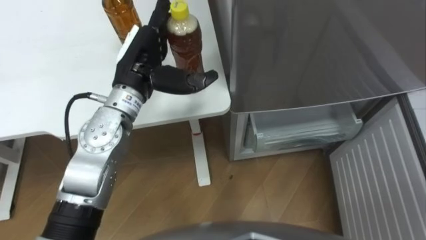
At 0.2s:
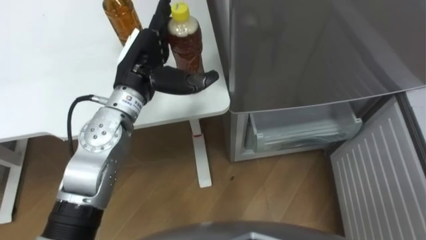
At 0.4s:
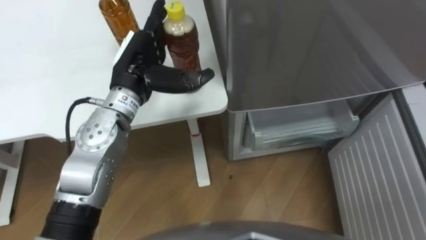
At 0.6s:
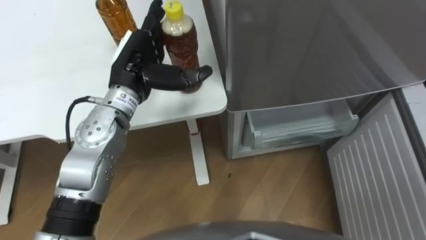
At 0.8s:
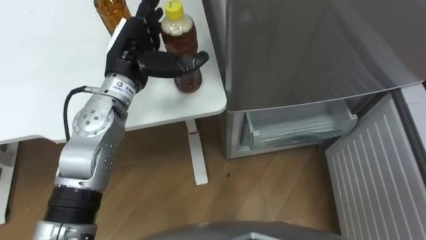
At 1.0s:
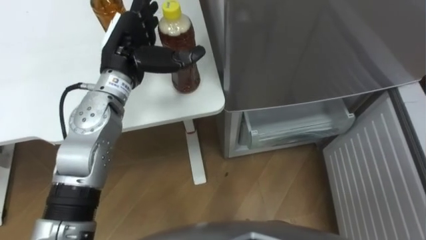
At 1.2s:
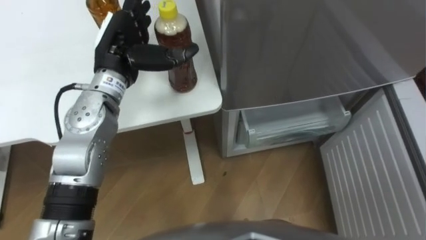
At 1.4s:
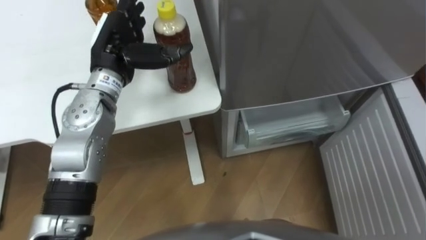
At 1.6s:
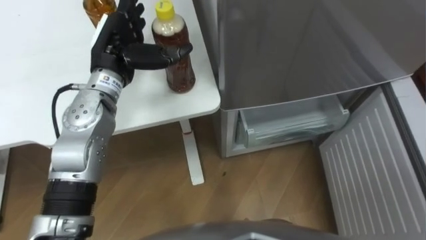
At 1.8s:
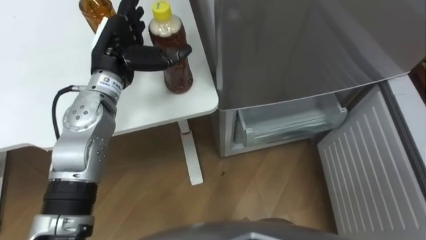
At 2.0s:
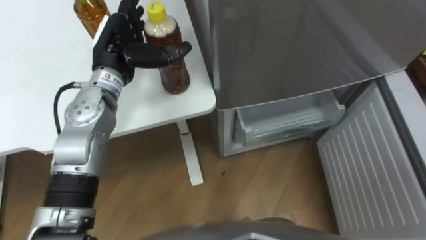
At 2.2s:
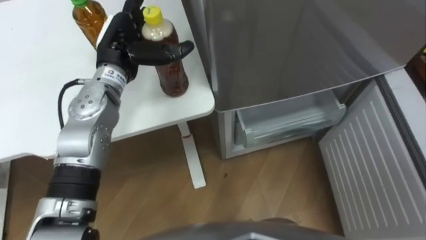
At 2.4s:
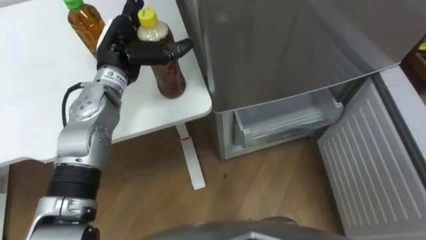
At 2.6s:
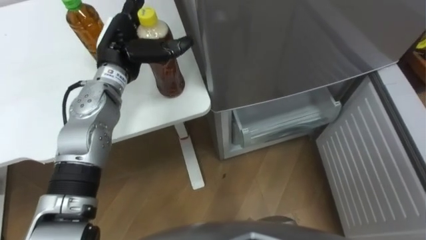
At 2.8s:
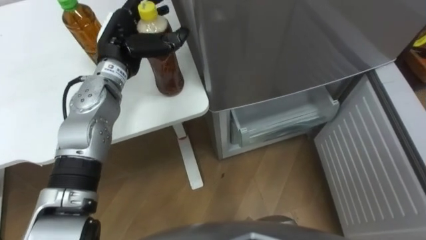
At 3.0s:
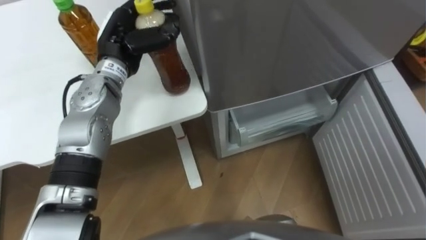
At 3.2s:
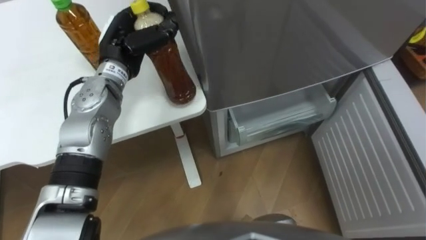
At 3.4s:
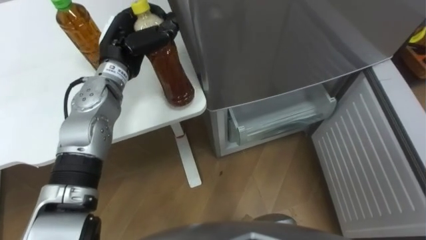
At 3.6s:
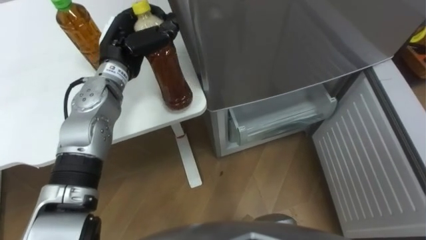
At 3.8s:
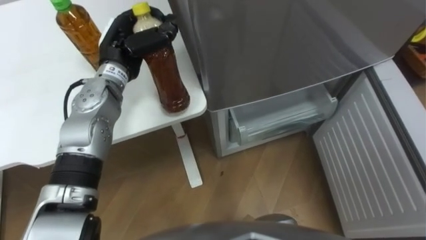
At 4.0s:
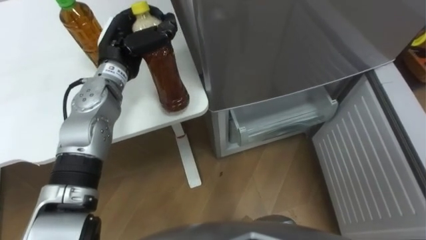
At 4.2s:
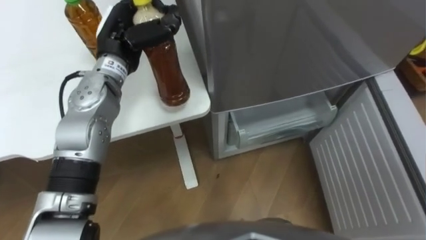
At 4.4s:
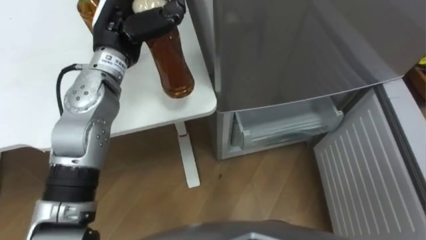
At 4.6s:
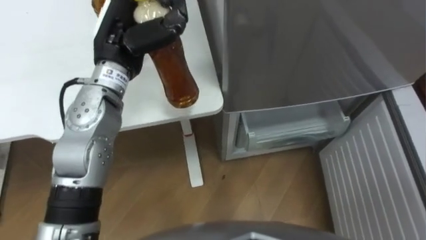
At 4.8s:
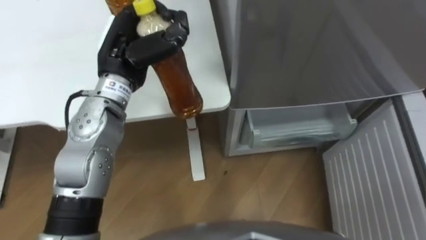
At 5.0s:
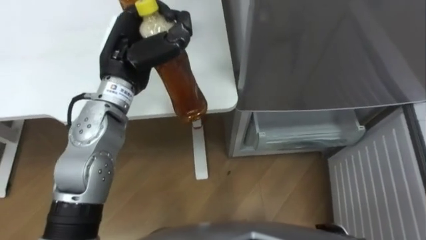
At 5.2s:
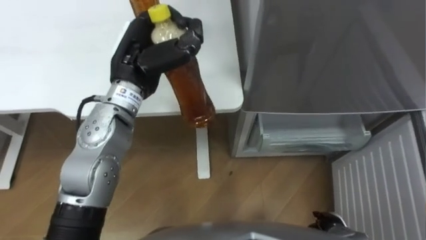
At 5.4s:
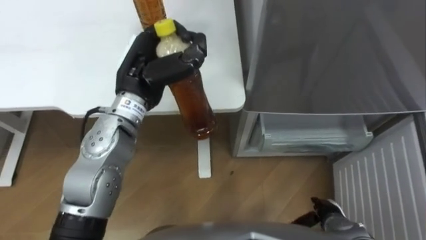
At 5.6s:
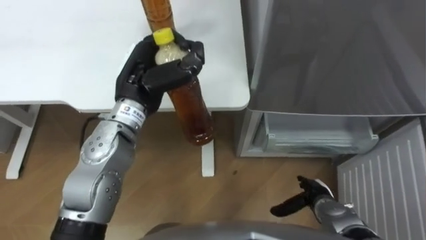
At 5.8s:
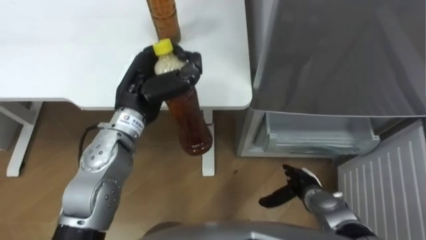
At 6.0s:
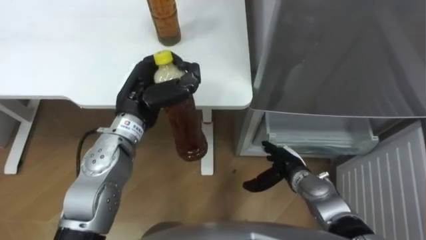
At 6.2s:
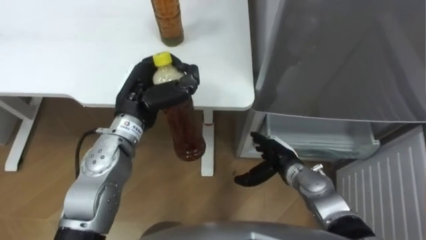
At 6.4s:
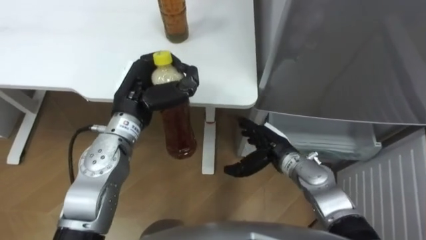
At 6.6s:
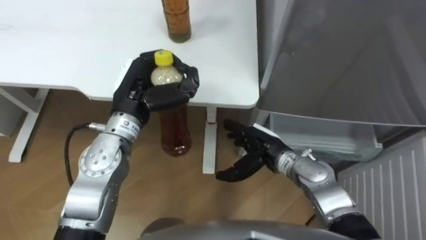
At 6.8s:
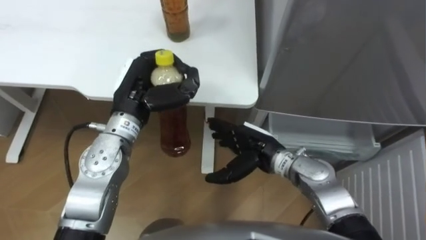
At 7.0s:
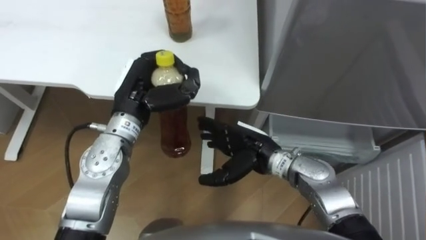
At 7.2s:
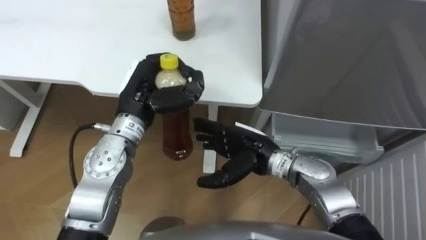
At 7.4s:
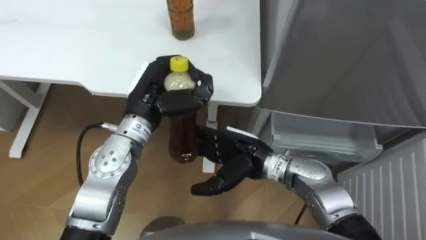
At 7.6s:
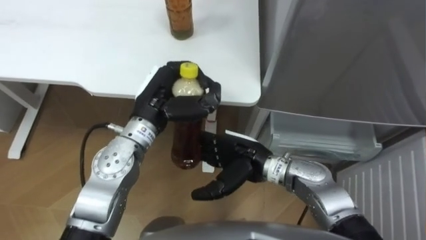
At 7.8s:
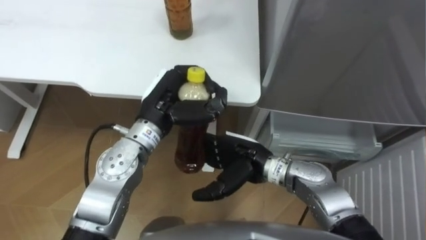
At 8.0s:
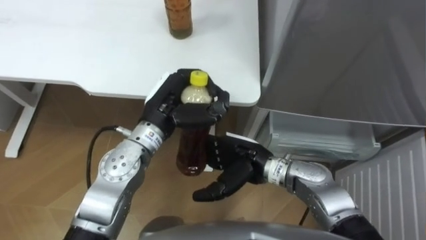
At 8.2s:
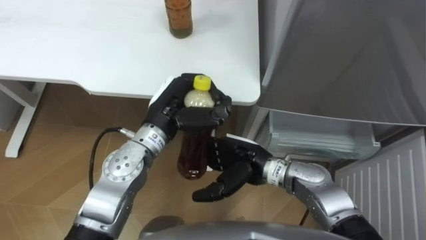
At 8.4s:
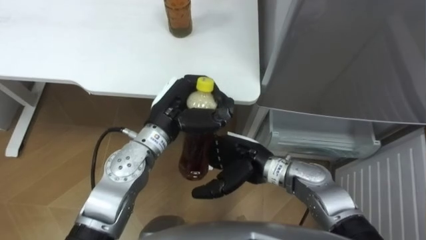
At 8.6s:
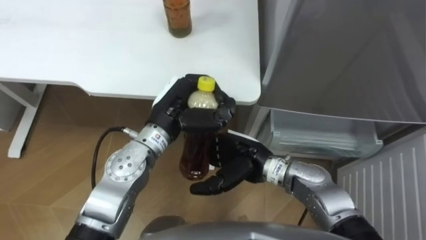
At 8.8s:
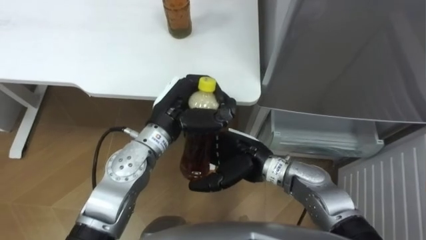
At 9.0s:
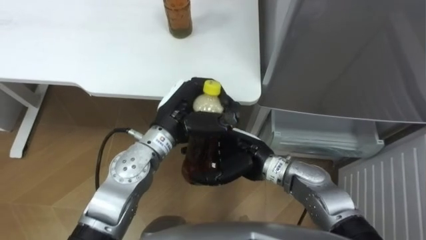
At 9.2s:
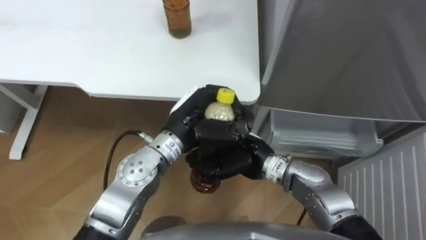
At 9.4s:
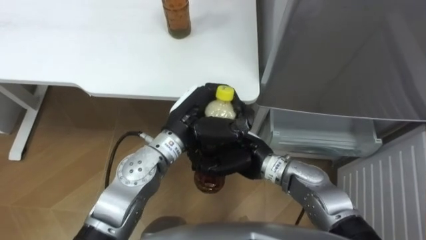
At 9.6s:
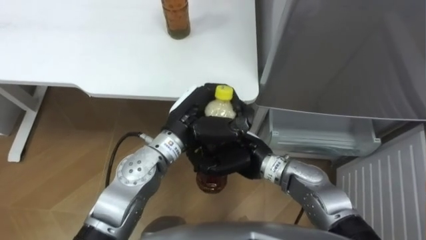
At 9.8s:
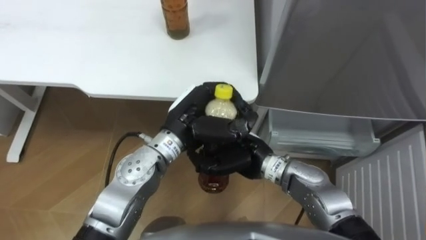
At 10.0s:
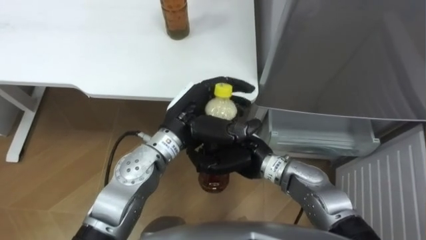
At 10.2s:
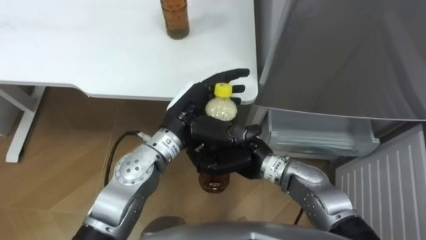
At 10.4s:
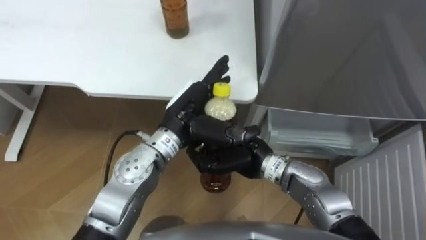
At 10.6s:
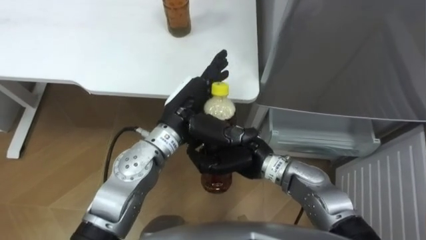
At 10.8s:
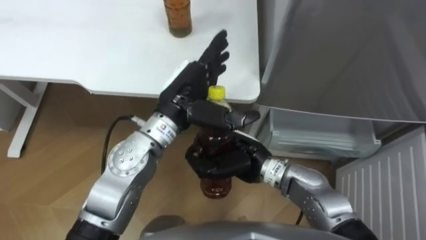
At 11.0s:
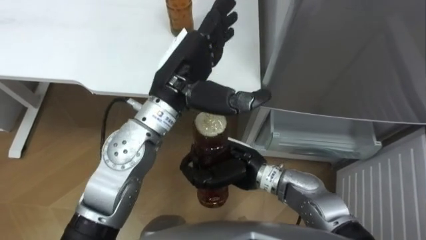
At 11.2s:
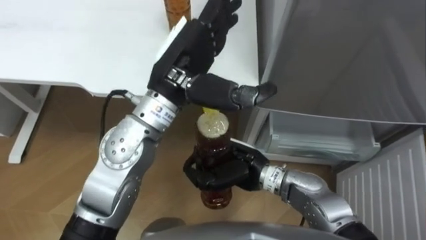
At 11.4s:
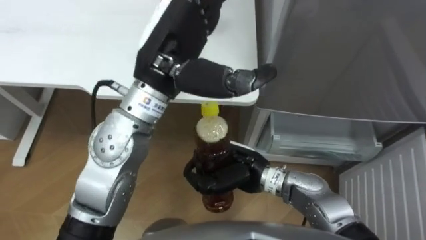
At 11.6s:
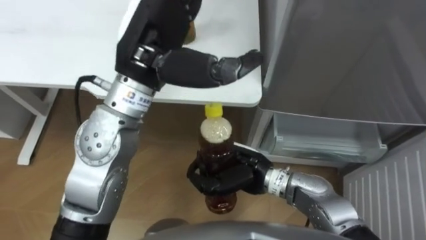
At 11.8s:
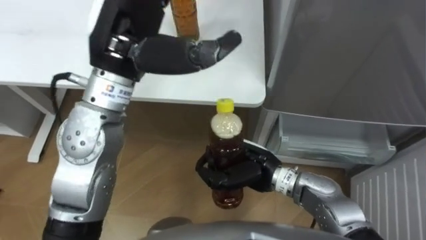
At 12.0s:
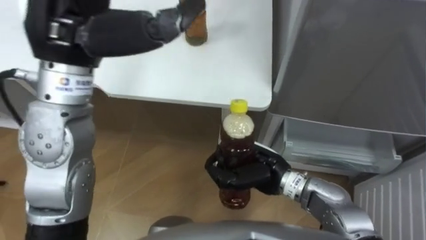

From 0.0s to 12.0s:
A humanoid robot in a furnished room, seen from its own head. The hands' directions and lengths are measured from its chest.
Task of the whole recording: Place the drink on the table on the bottom shelf of the refrigerator, then close the drawer and the refrigerator door.
From 0.0s to 1.6s: The left hand changes place by some 5 cm.
From 1.6s to 3.0s: The left hand closes its fingers.
From 3.0s to 4.4s: The left hand shifts by roughly 5 cm, and closes its fingers.
From 4.4s to 6.0s: The left hand goes some 10 cm downward and backward.
From 6.0s to 7.6s: The right hand is displaced to the left and upward by some 15 cm.
From 7.6s to 9.0s: The hands move only a little.
From 9.0s to 10.4s: The left hand opens; the right hand closes its fingers.
From 10.4s to 12.0s: The left hand is displaced upward and to the left by some 25 cm.

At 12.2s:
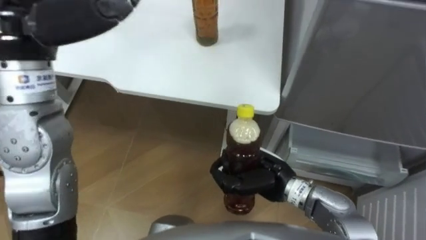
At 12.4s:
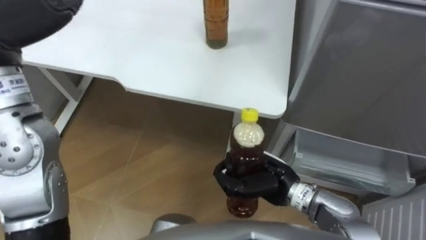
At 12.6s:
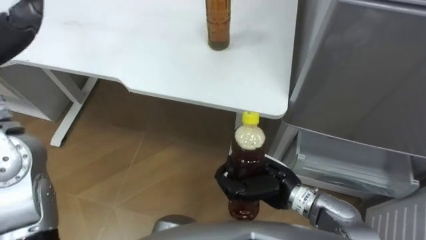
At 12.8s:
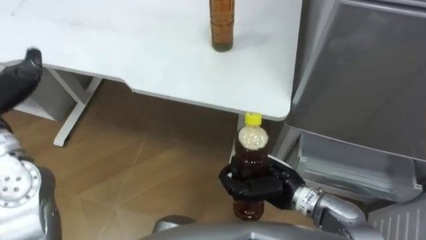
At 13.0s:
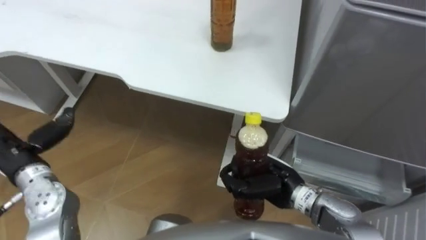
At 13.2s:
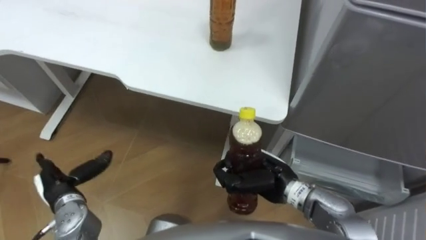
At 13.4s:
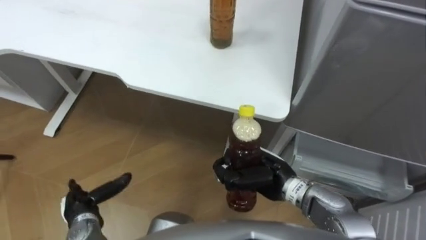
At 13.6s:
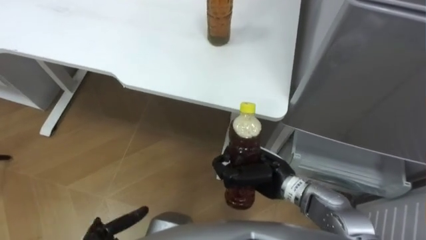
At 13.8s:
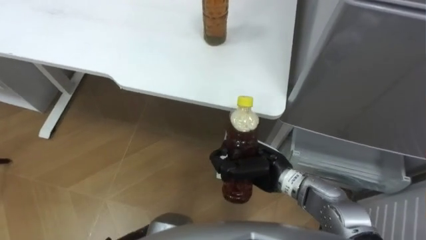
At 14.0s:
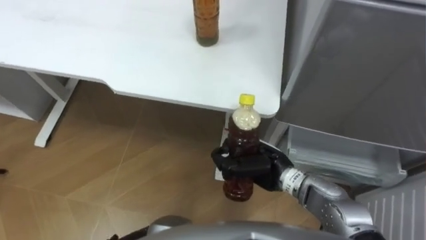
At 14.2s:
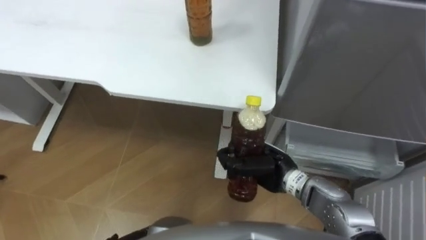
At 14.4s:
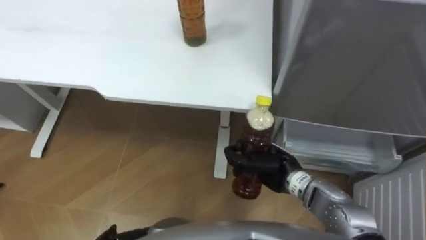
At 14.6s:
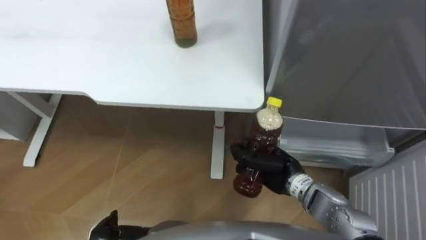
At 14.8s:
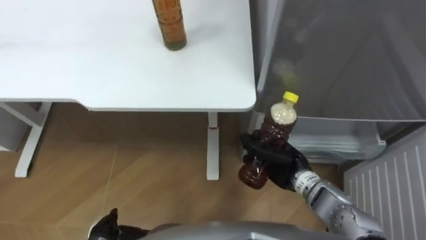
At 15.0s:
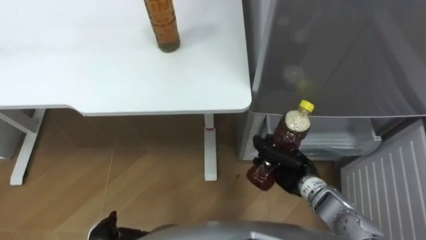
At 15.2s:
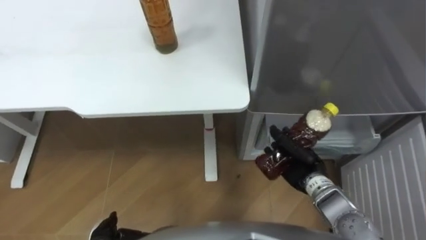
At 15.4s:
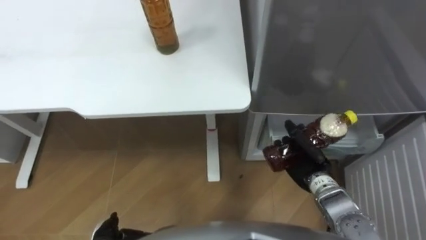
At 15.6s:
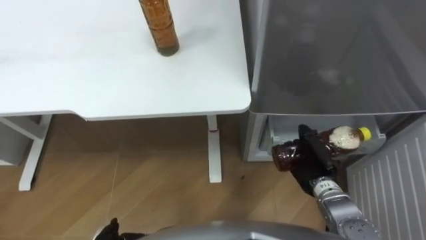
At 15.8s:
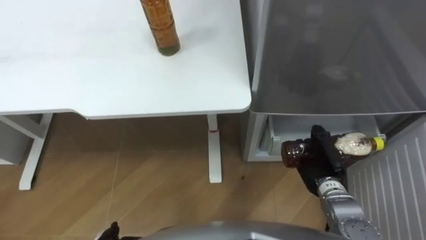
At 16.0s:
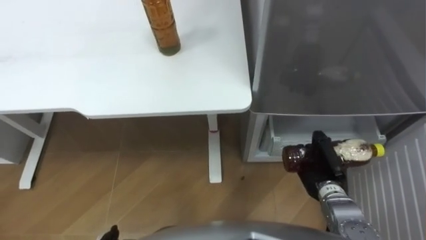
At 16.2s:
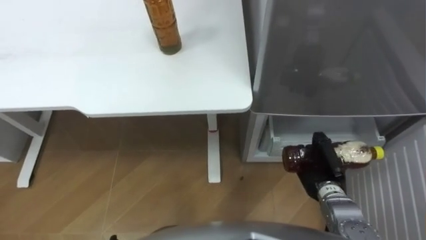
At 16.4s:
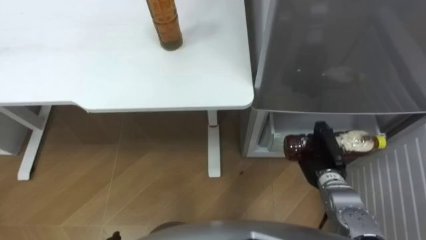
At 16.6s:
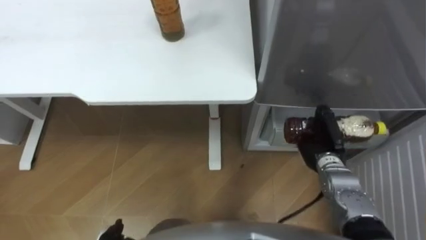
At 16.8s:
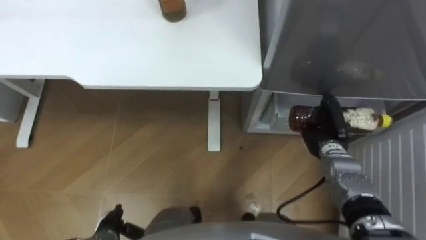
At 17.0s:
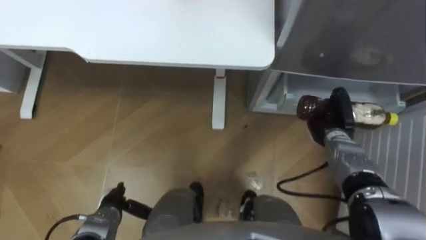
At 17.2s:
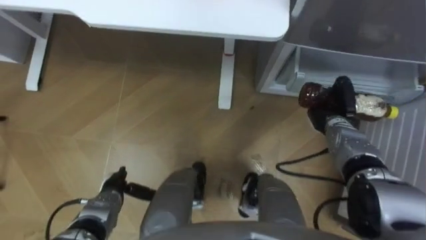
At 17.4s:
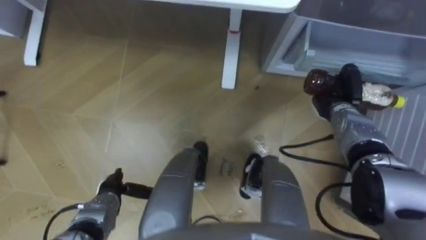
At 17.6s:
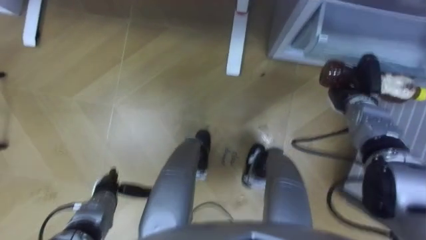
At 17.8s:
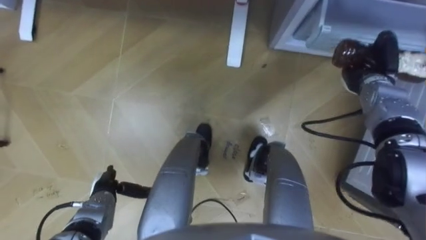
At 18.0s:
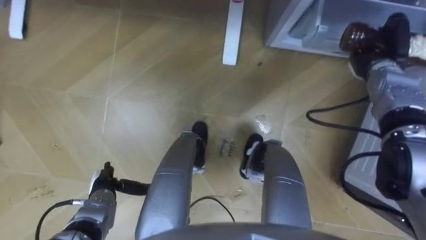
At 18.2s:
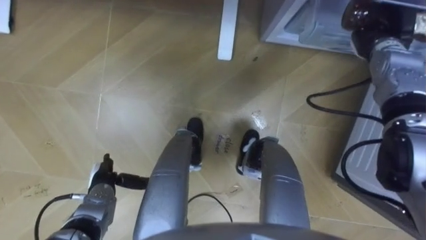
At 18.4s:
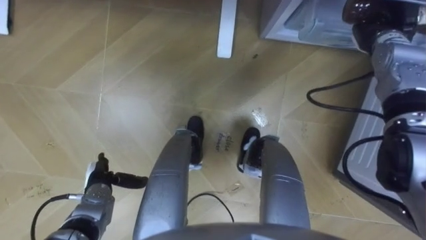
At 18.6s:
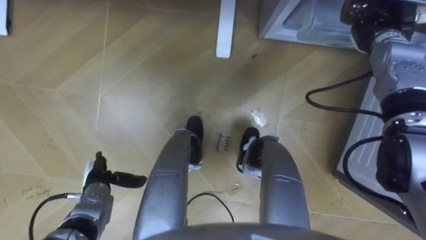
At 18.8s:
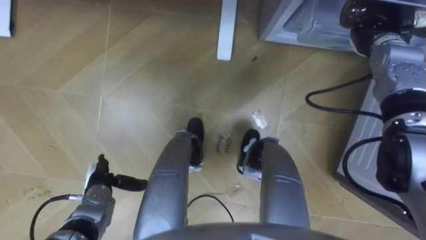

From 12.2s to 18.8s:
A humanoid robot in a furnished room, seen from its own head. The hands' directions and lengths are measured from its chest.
Task of the whole recording: Place the drink on the table on the bottom shelf of the refrigerator, then close the drawer and the refrigerator door.
From 13.8s to 15.4s: The right hand moves to the right, roughly 10 cm.
From 15.4s to 17.2s: The right hand goes approximately 10 cm forward and to the right.
From 17.2s to 18.8s: The right hand travels upward and forward by roughly 20 cm.
